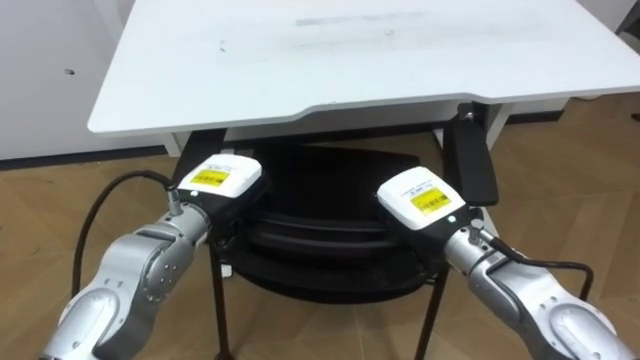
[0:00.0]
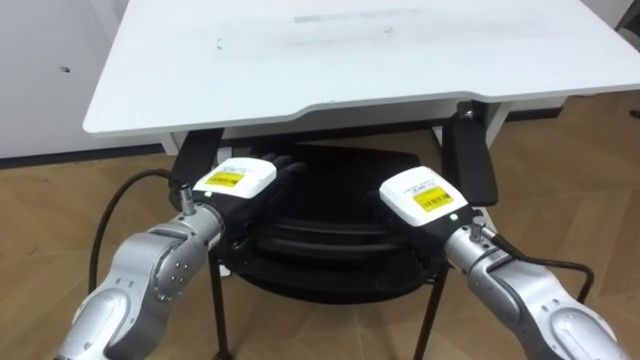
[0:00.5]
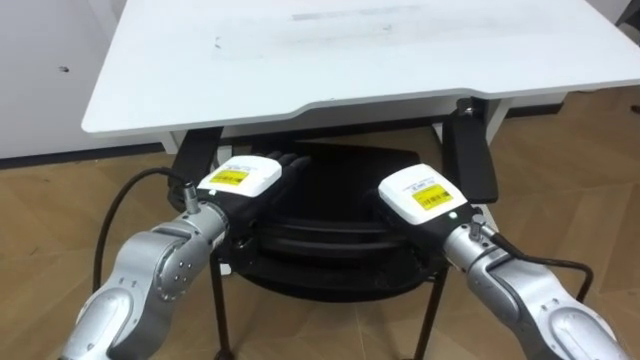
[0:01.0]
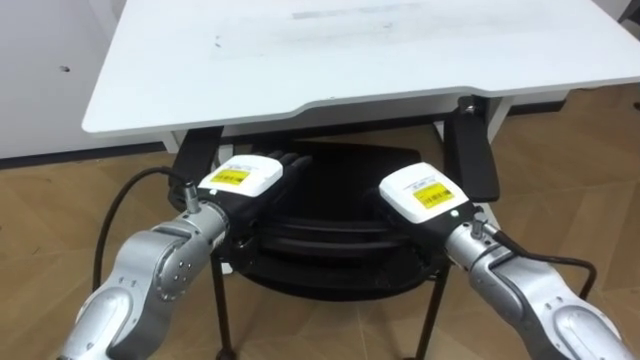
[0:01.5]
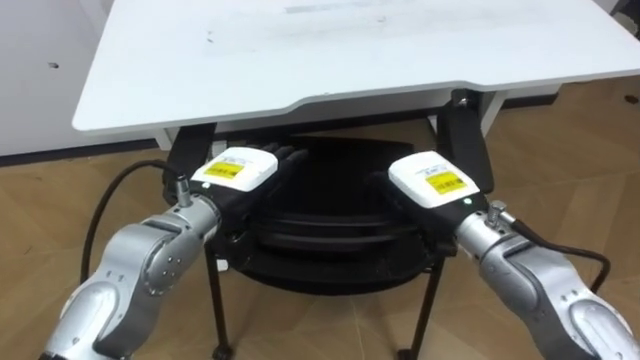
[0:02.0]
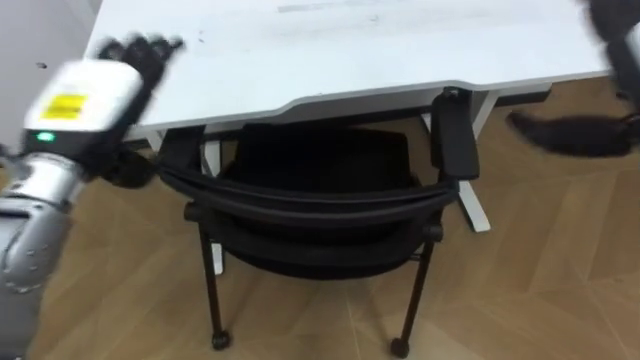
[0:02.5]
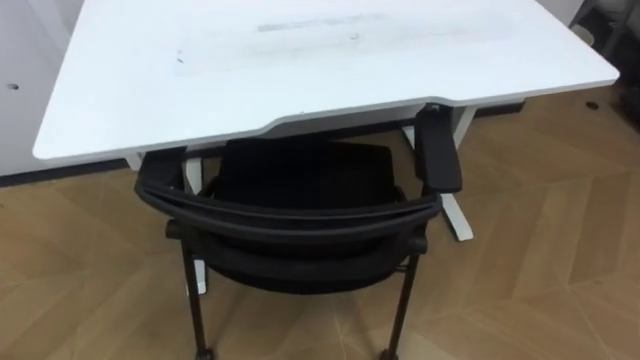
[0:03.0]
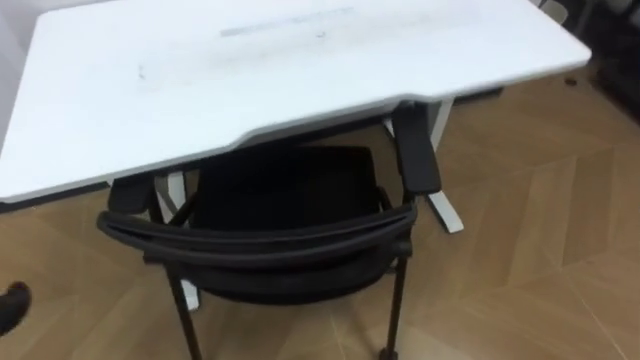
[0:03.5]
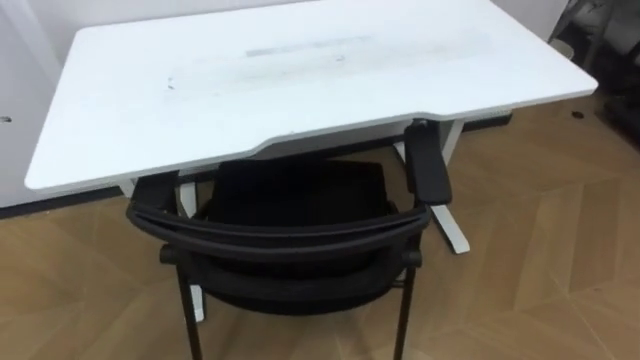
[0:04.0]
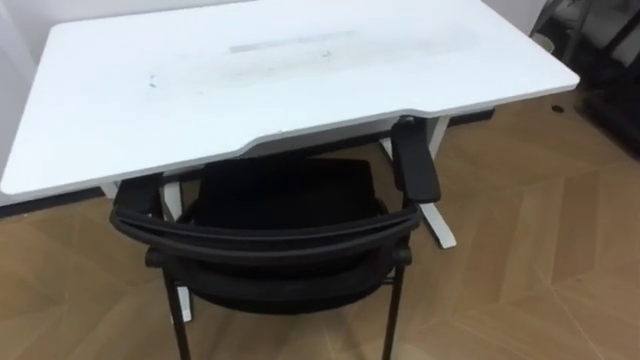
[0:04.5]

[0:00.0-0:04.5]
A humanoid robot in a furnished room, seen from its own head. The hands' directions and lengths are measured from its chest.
Task of the whole recording: Push the chair under the table.
0:00.0 to 0:02.0: The left hand opens up; the right hand opens up.

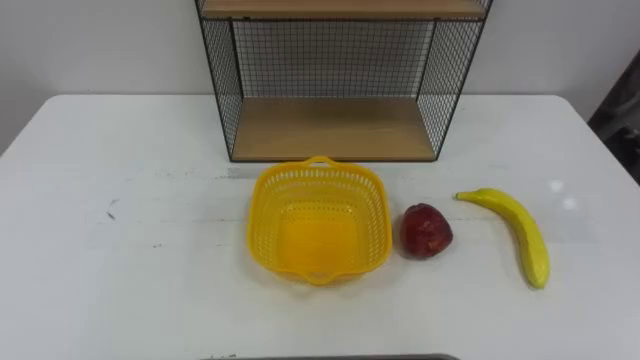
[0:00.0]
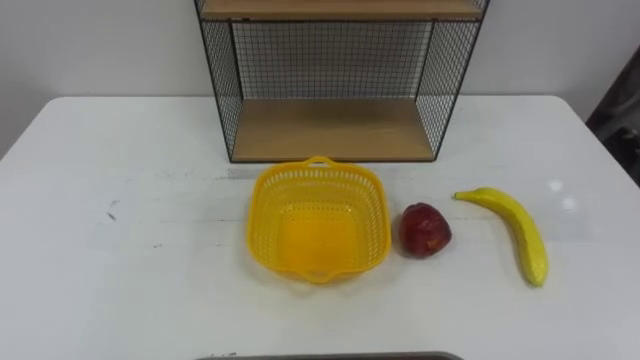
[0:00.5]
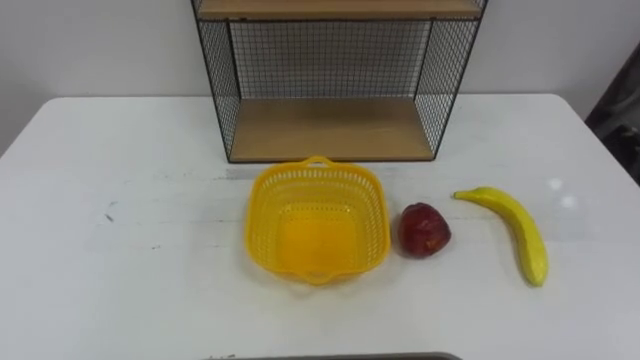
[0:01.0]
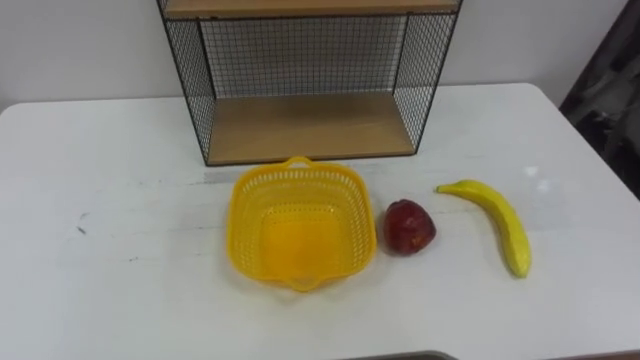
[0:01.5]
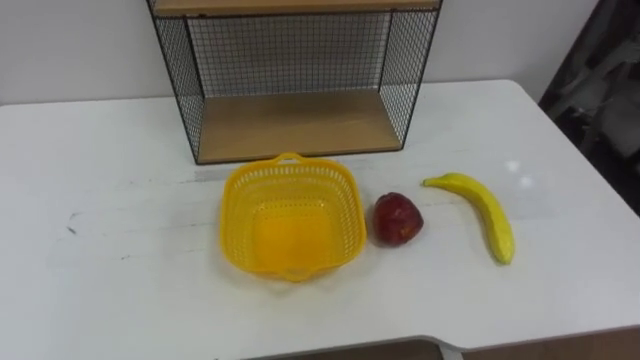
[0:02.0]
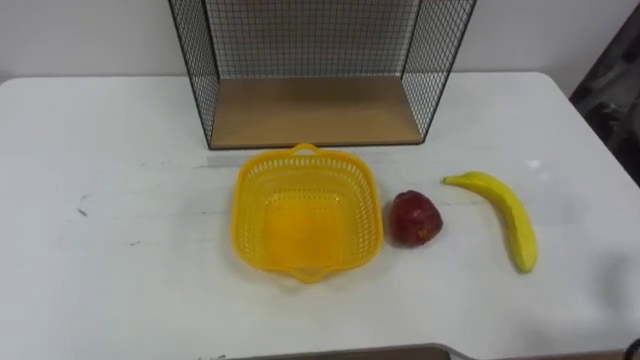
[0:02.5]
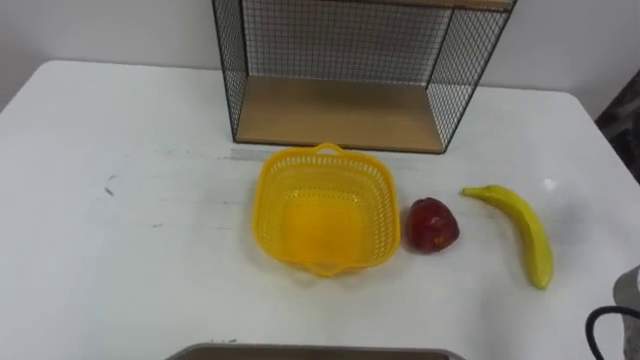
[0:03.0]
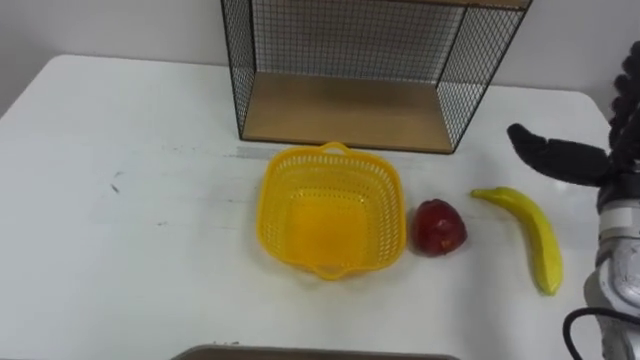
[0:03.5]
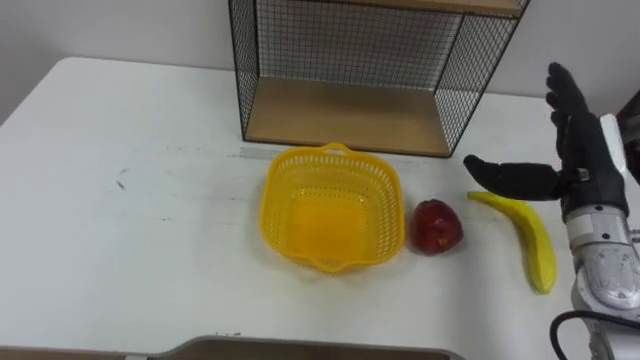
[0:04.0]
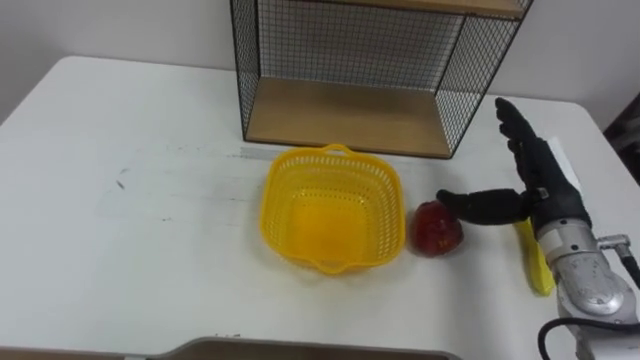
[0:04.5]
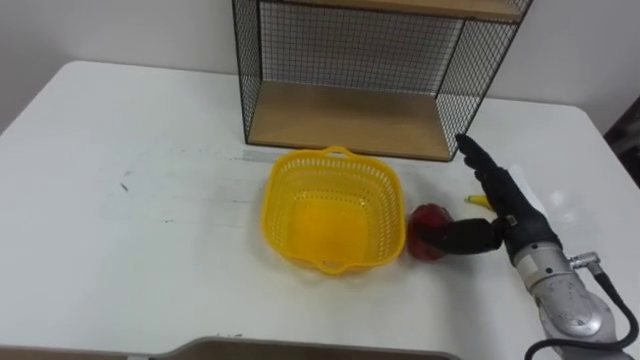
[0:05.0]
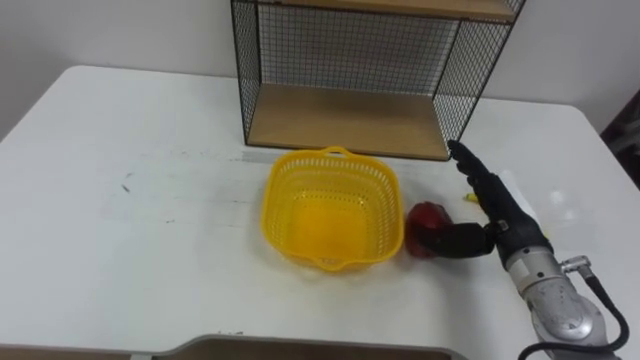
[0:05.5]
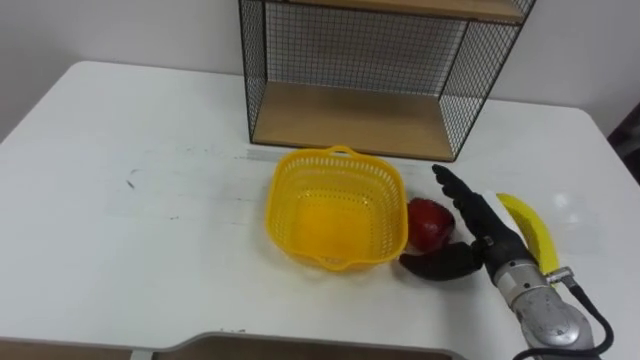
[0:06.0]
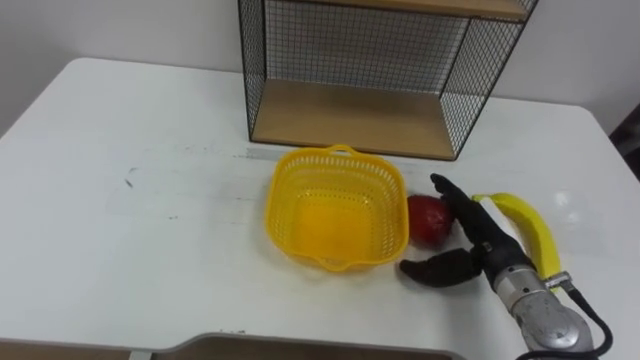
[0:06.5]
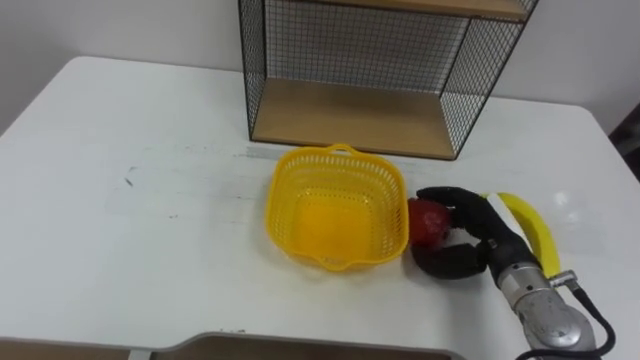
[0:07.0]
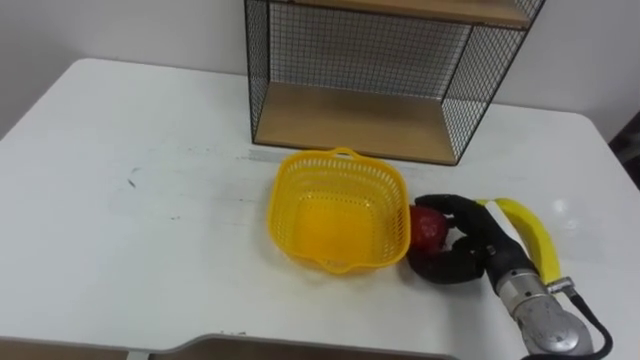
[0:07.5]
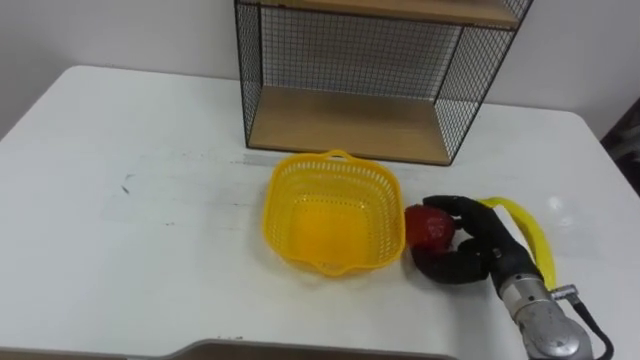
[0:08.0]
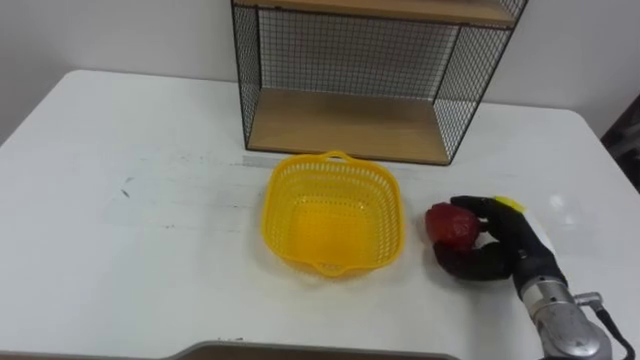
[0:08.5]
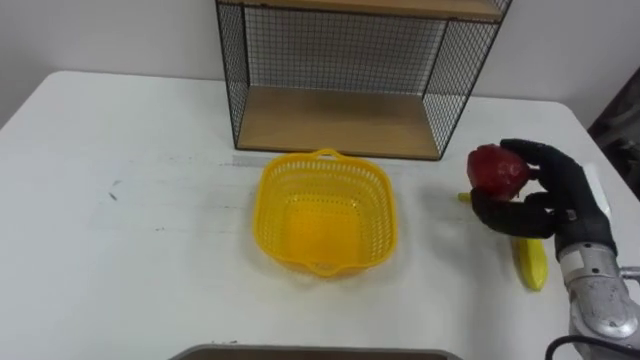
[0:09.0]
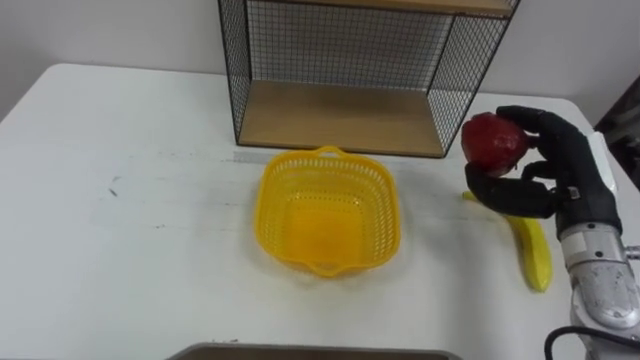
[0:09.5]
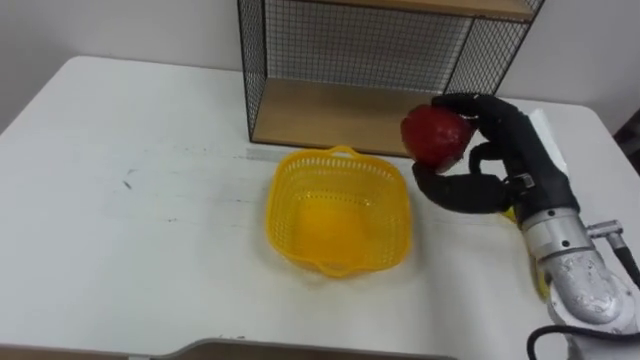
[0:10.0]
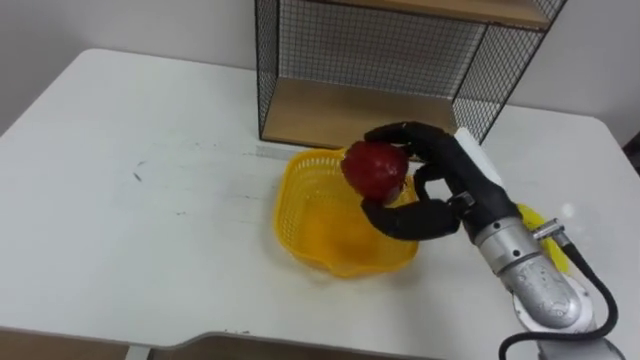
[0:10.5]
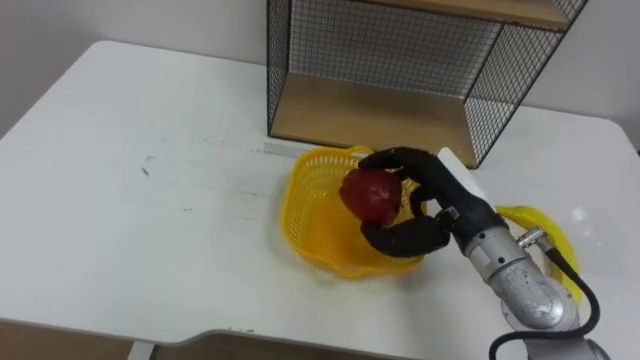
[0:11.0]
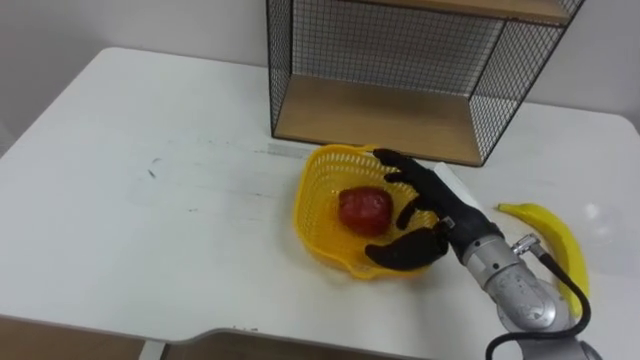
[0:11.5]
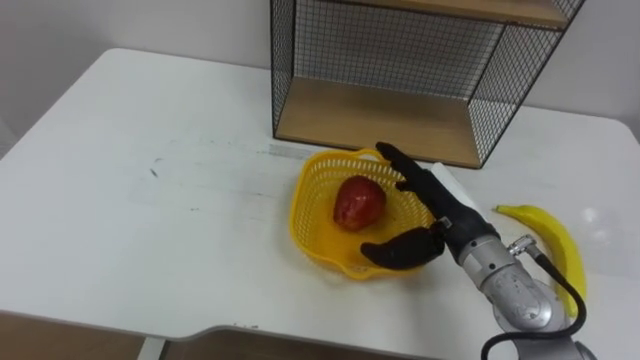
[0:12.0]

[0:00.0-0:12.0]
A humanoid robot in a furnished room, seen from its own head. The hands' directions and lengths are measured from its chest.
Task of the whole recording: Put the fruit on the table into the basket, then place the basket on the shelf.
0:04.0 to 0:06.0: The right hand goes some 10 cm downward and to the left.
0:06.0 to 0:08.0: The right hand closes up.
0:08.0 to 0:10.0: The right hand is displaced upward by roughly 15 cm.
0:10.0 to 0:12.0: The right hand moves downward and to the left, about 10 cm, and opens up.

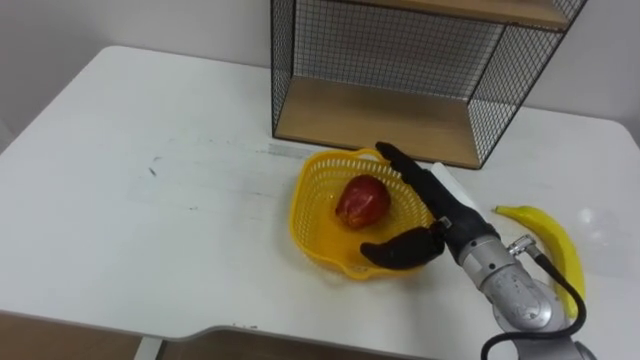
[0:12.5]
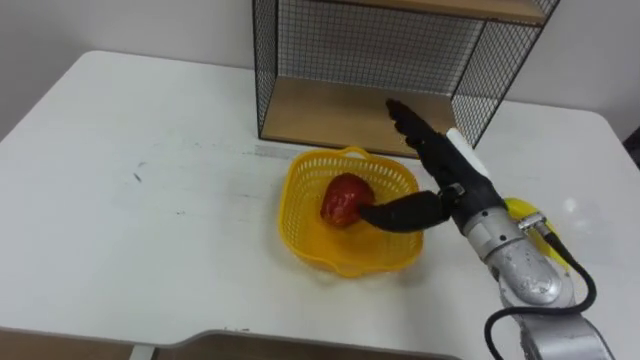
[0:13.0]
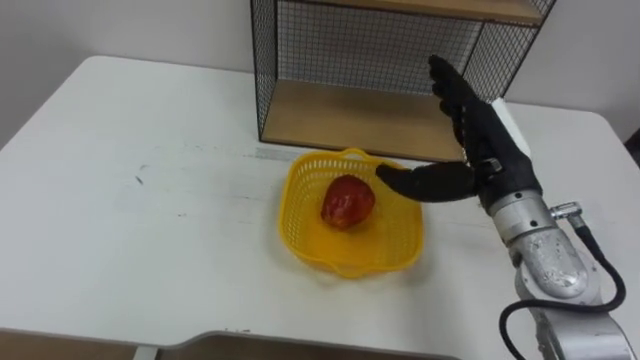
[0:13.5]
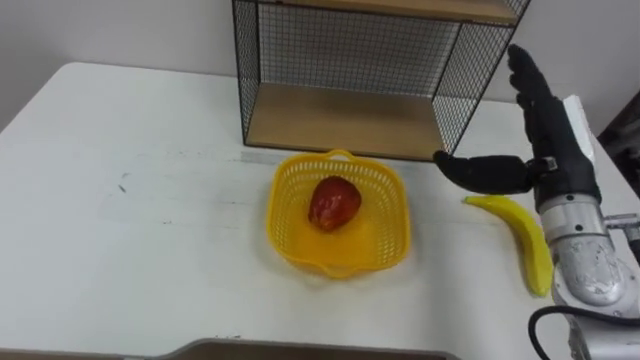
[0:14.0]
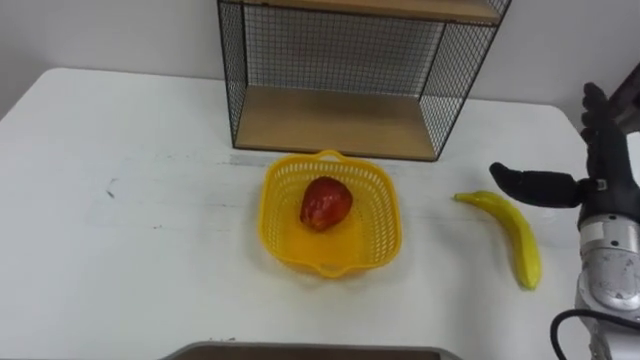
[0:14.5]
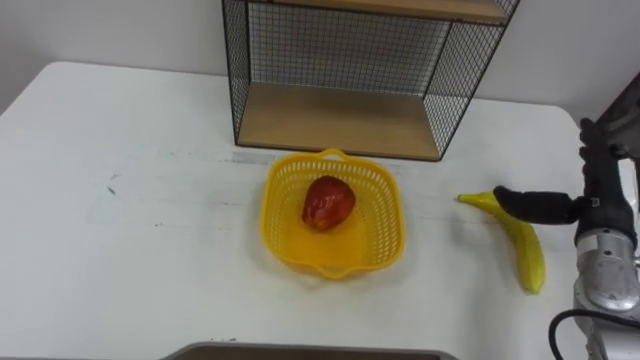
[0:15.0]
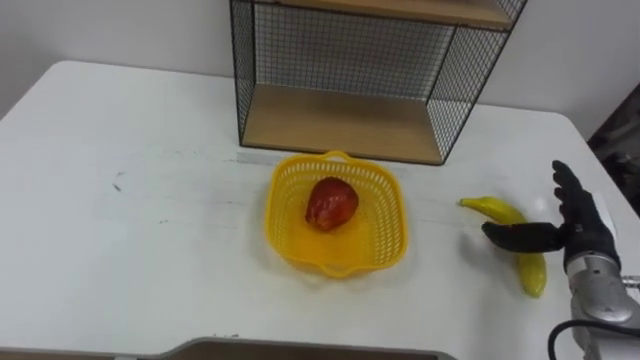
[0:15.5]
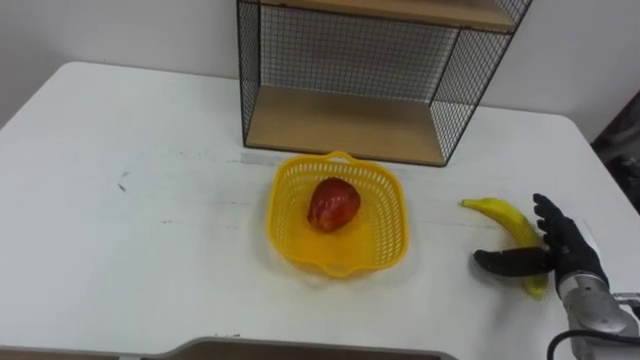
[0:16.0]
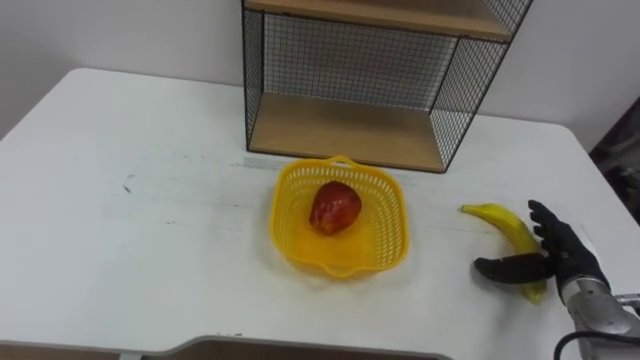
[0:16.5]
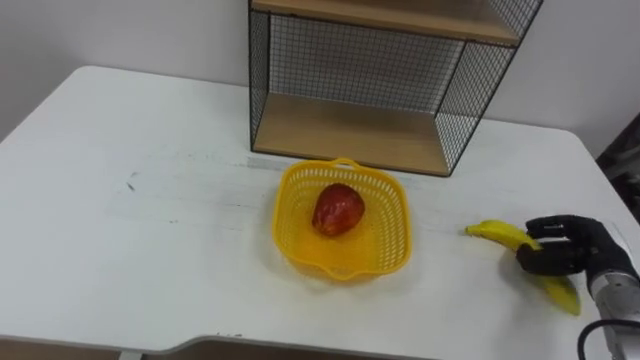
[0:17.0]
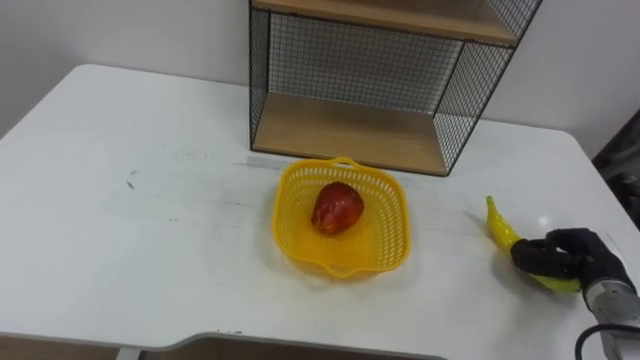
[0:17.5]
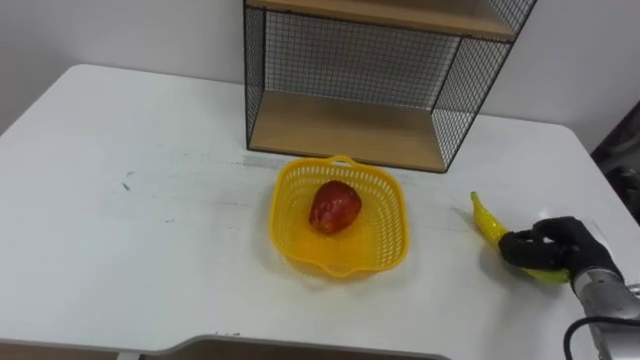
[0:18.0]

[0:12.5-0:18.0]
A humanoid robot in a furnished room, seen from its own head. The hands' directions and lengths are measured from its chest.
Task of the whole recording: Put the fruit on the table into the basket, then place the basket on the shelf.
0:12.5 to 0:14.5: The right hand moves to the right, approximately 15 cm.
0:14.5 to 0:16.0: The right hand shifts about 15 cm downward.
0:16.0 to 0:18.0: The right hand closes its fingers.
